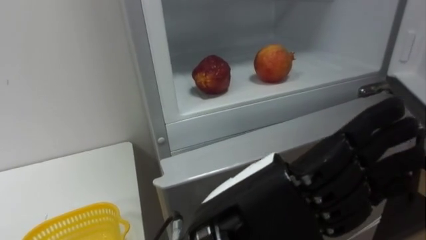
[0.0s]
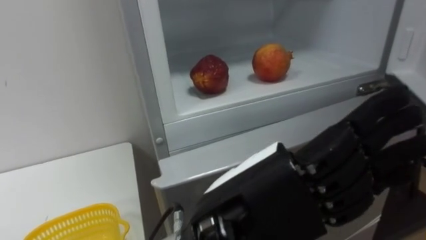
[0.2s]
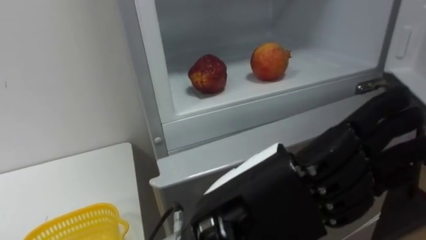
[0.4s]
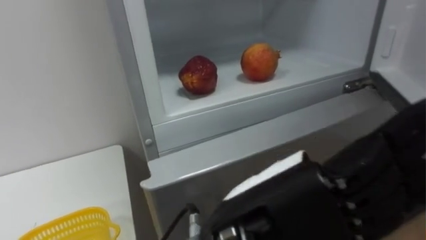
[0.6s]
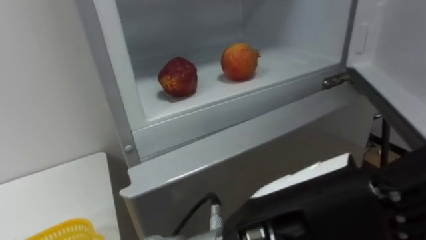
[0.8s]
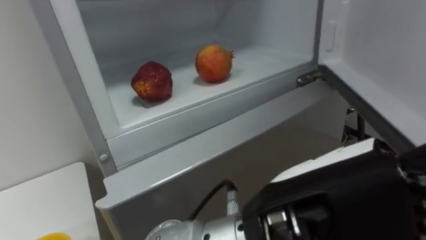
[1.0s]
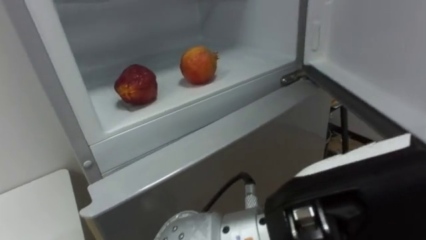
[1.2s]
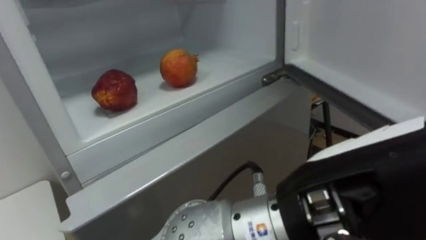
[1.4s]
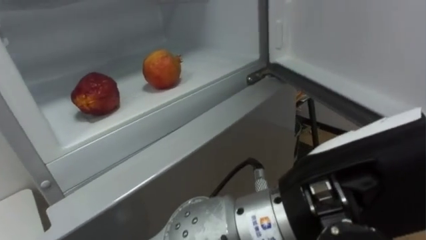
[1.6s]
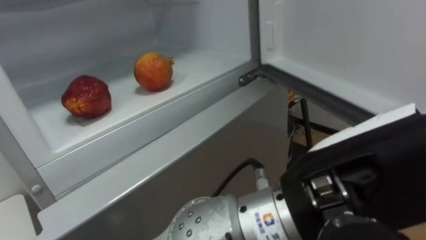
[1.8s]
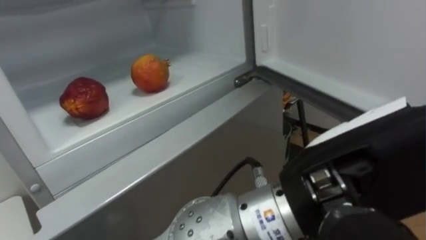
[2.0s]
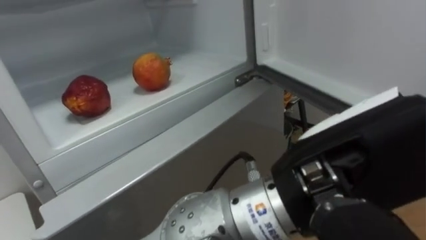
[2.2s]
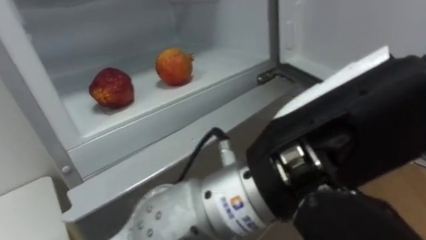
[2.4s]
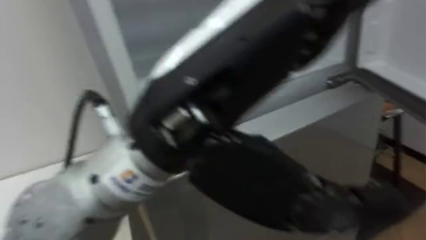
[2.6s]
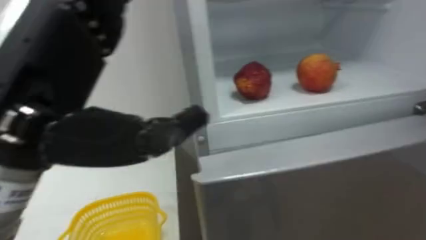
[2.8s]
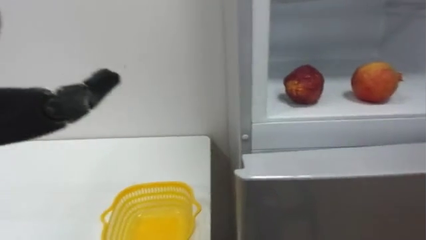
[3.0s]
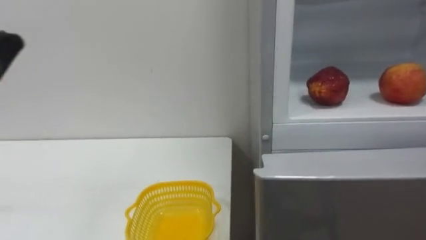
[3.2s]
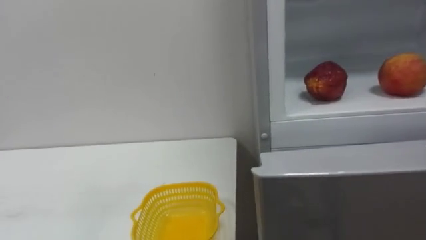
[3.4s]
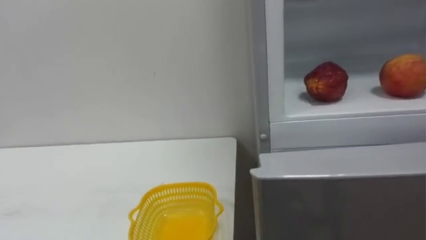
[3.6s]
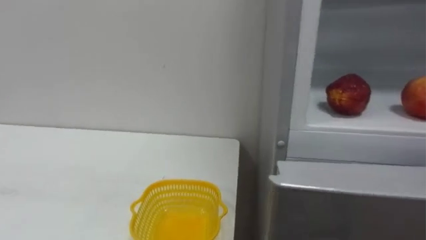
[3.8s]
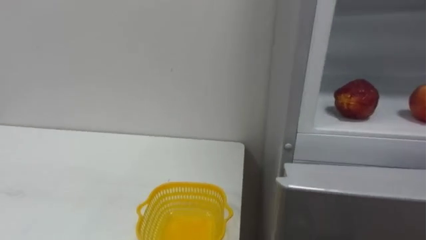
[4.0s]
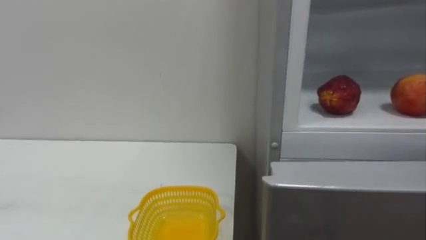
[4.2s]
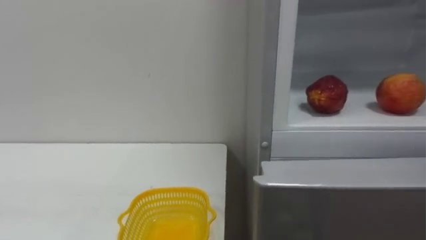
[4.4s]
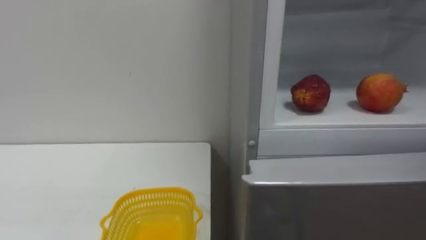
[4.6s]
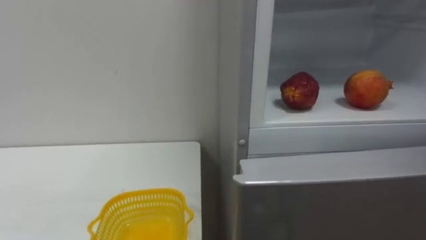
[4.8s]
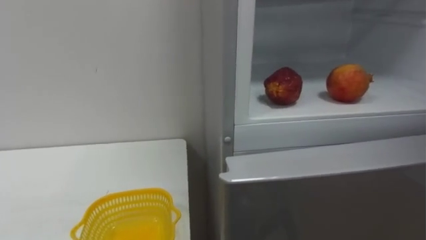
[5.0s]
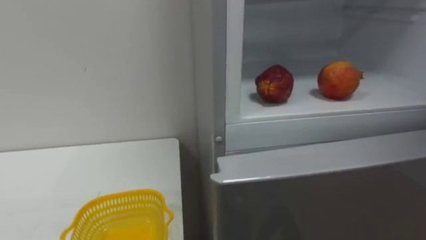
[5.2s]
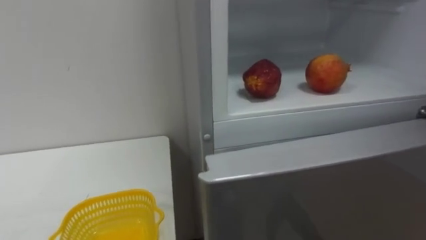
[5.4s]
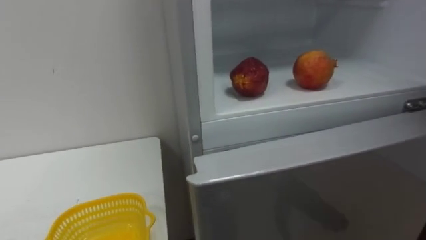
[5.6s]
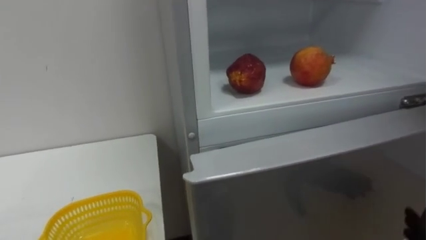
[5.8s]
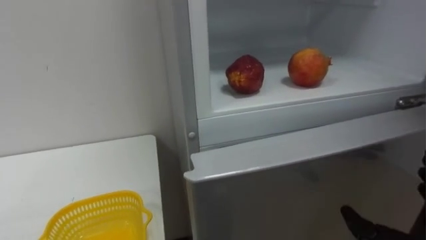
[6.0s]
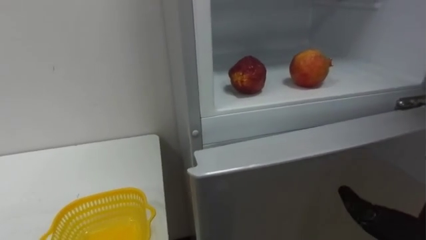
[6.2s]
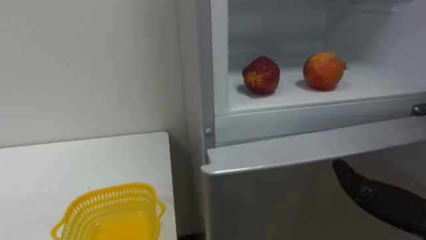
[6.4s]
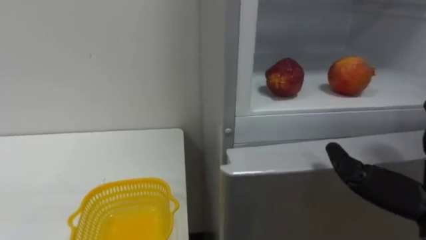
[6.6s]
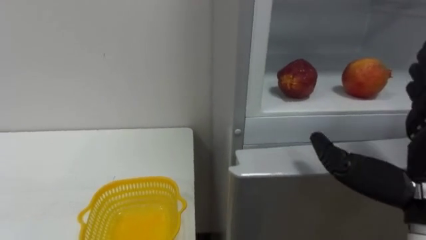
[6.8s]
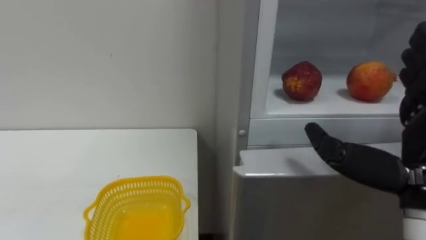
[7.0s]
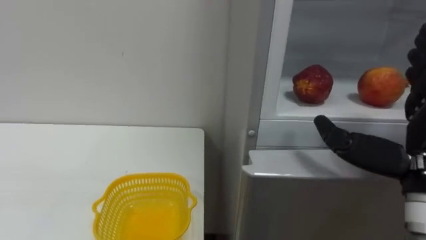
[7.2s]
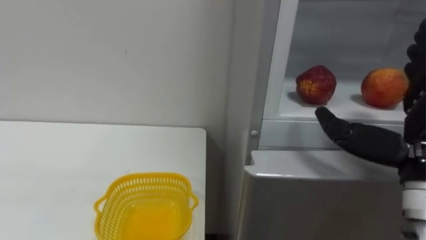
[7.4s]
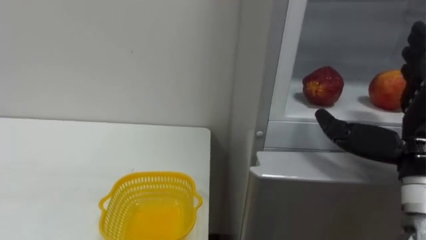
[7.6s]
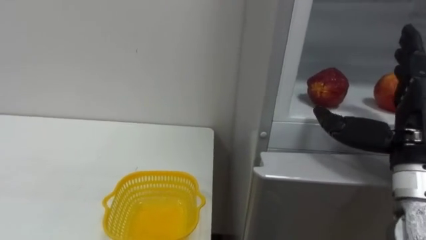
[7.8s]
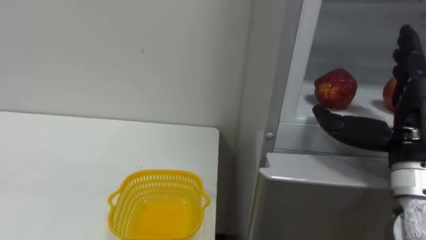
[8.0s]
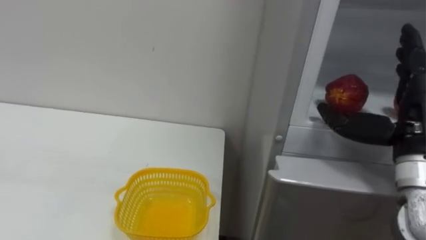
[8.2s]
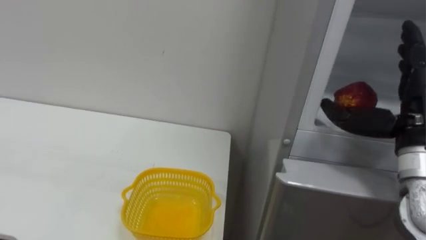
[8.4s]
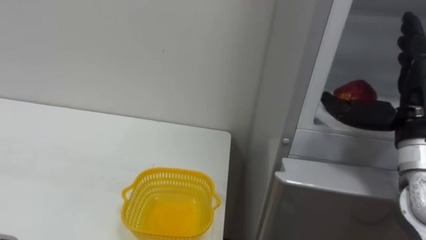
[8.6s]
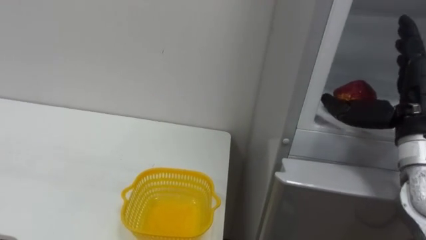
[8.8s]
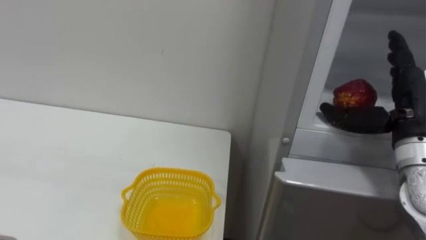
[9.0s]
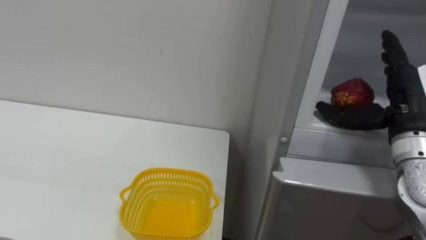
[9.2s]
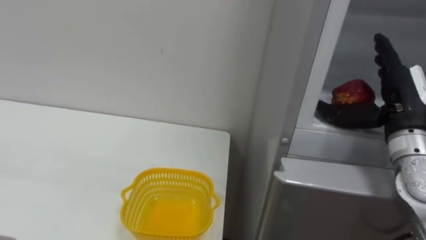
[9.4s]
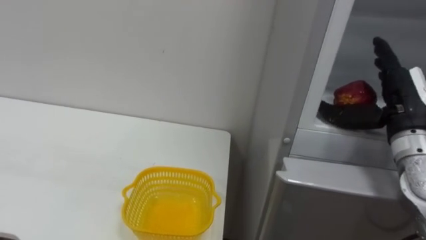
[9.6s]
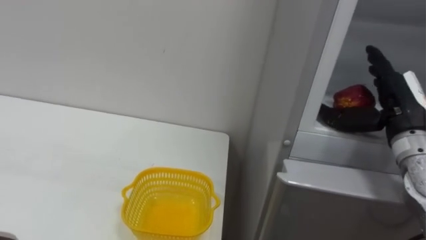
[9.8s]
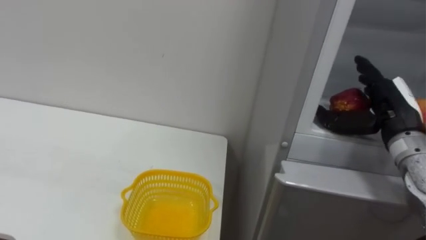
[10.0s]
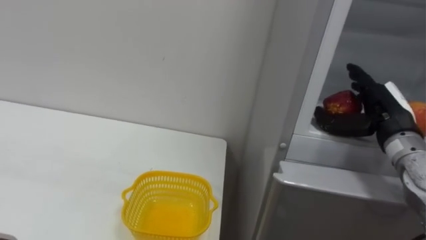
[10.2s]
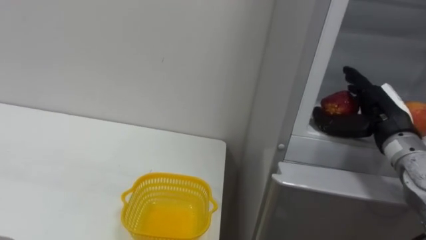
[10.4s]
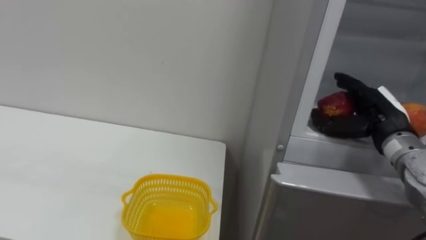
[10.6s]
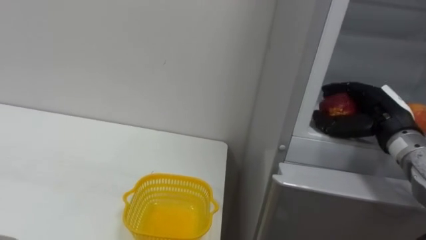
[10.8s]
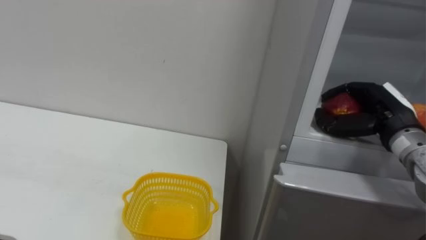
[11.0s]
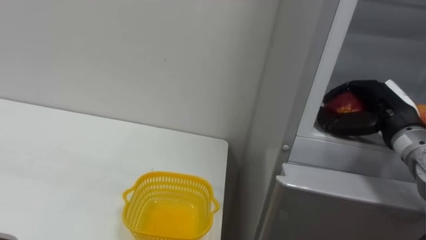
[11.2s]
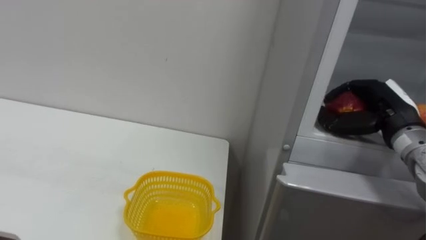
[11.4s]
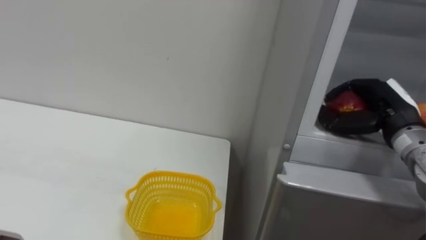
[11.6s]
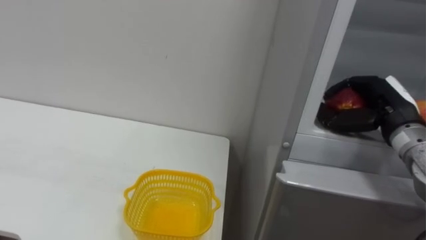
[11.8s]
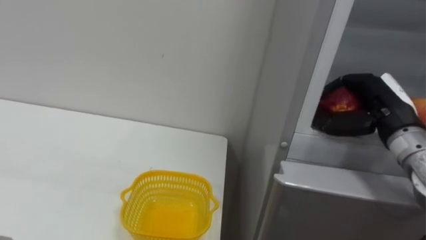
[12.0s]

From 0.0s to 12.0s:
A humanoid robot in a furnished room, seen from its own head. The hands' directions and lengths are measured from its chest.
Task of the whole recording: Open the refrigerator door, take out the apple and the pomegranate, place them in the fruit basket on the left, and close the refrigerator door.
From 0.0s to 1.6s: The left hand moves to the right and upward, approximately 10 cm.
From 7.6s to 9.0s: The right hand heads forward, covering approximately 5 cm.
From 9.0s to 10.4s: The right hand ends up some 5 cm from where it was.
From 10.4s to 12.0s: The right hand closes up.

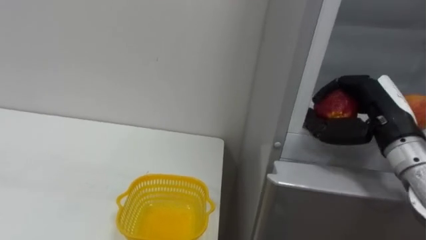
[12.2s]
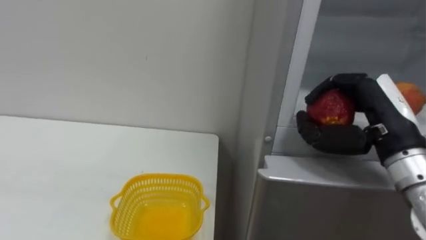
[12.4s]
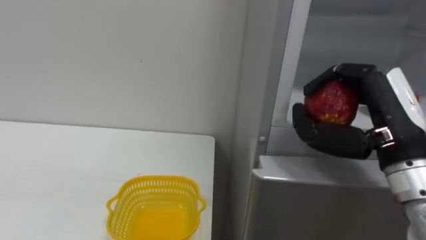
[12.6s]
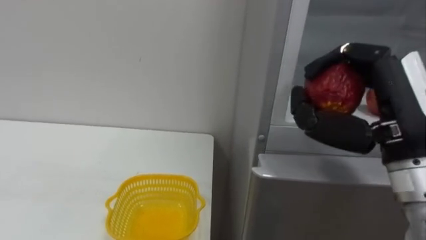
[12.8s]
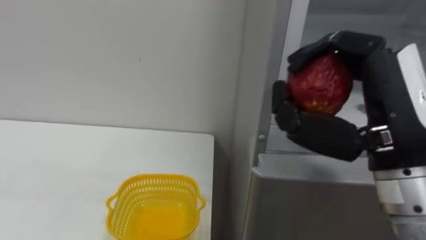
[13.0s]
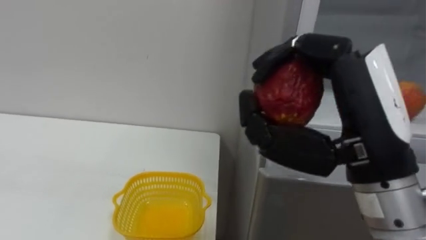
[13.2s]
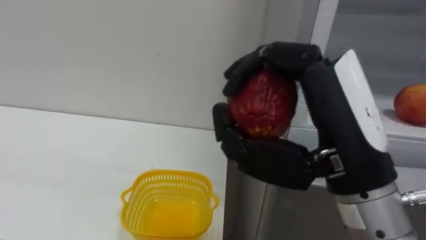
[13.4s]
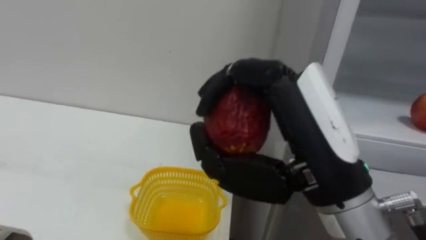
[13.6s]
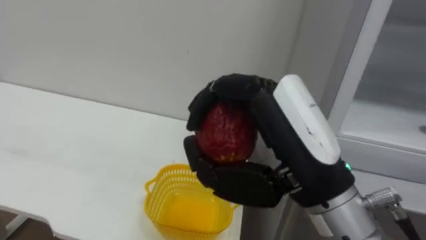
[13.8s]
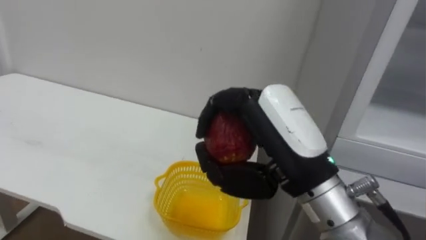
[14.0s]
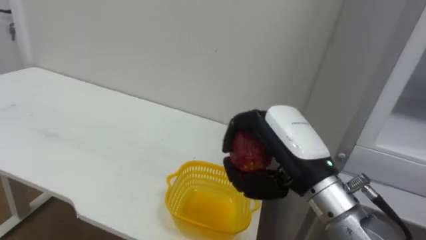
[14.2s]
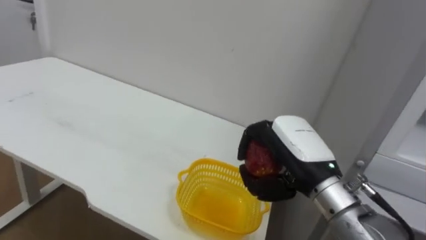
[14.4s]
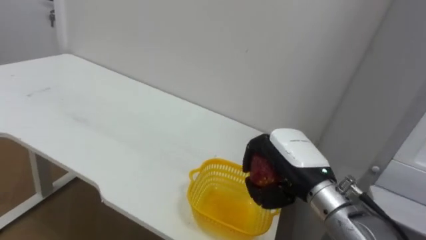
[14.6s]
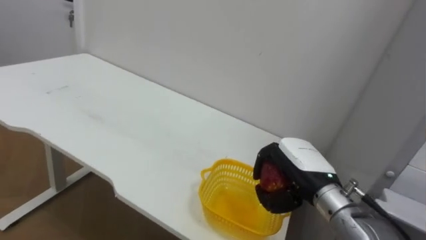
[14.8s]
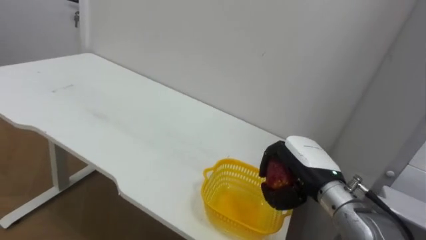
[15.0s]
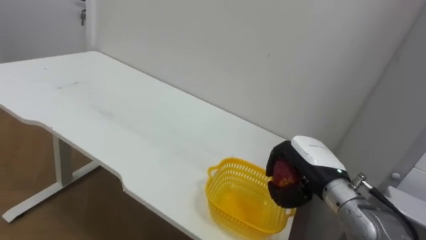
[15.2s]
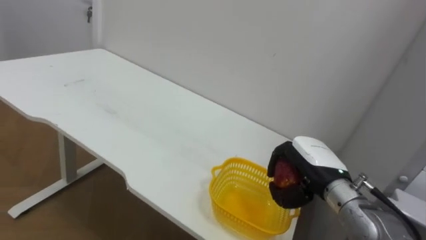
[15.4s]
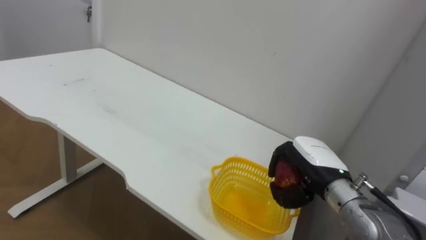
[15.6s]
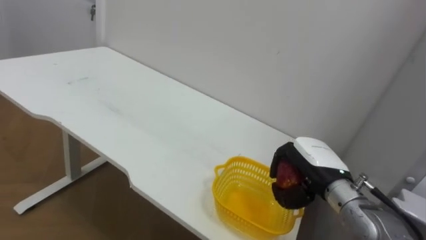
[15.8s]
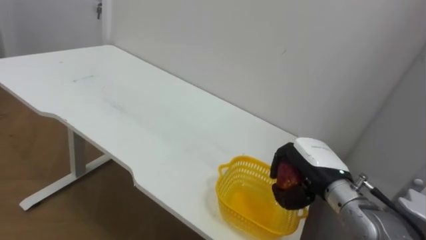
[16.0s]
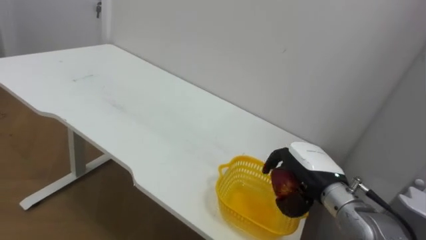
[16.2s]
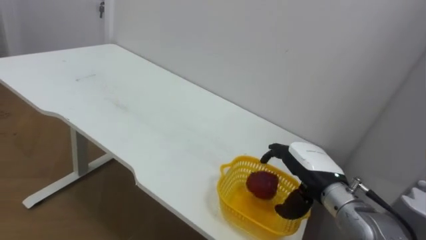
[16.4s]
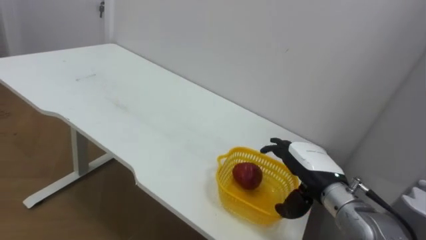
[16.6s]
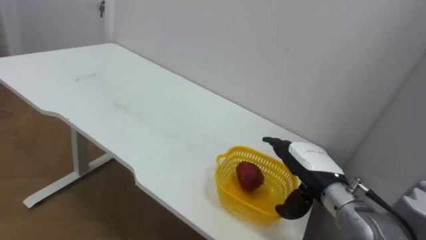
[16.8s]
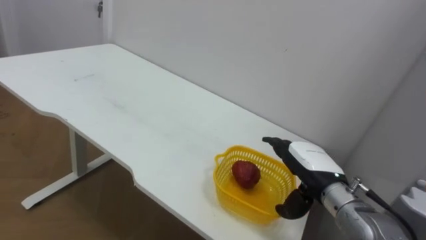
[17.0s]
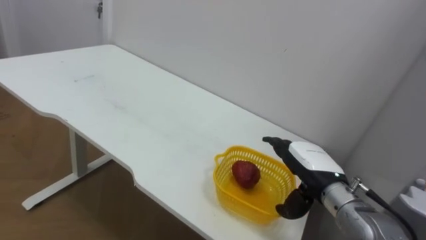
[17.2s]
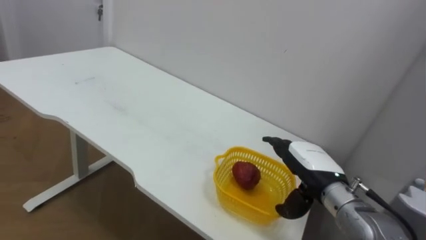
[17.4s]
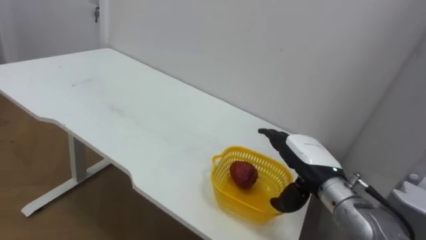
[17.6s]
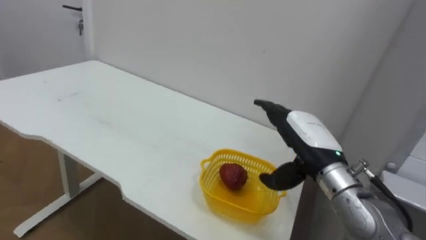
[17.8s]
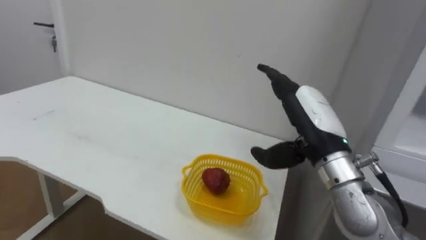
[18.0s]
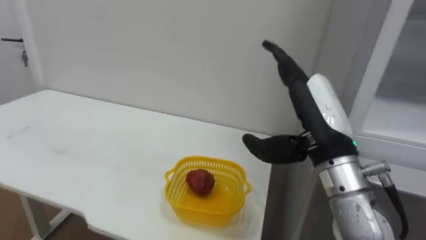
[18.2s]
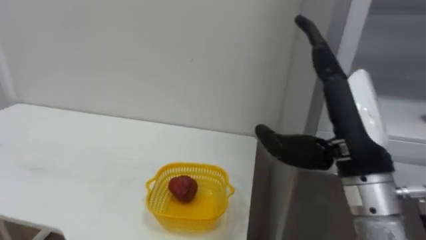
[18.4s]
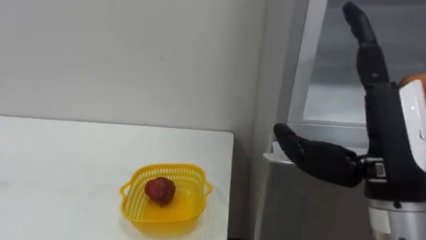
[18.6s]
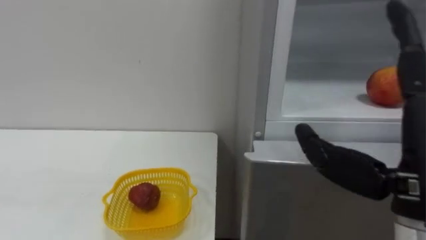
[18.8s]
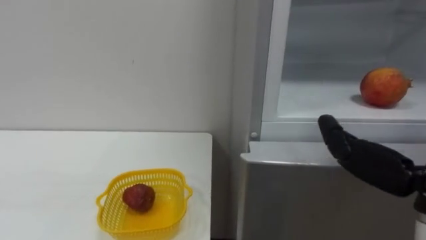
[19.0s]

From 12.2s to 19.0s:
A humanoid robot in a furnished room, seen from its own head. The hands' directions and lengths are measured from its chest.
Task of the whole recording: Open the refrigerator door, take out the apple and the pomegranate, place them in the fruit basket on the left, and close the refrigerator door.
From 12.2s to 13.6s: The right hand travels to the left, backward and upward by approximately 20 cm.
From 13.6s to 15.0s: The right hand heads downward and forward, covering approximately 25 cm.
From 16.2s to 17.6s: The right hand opens up.
